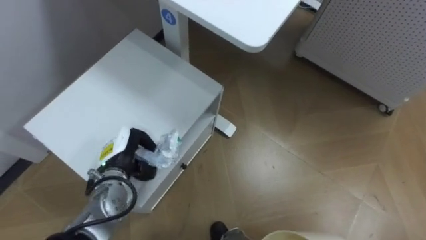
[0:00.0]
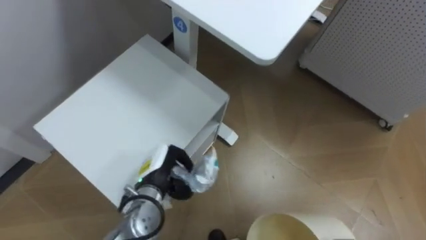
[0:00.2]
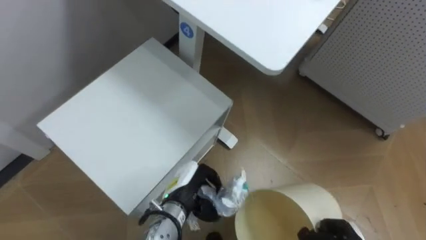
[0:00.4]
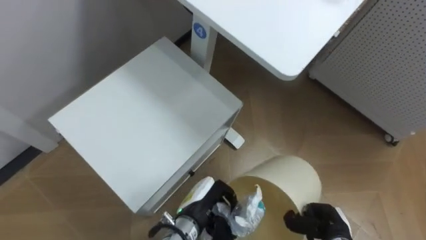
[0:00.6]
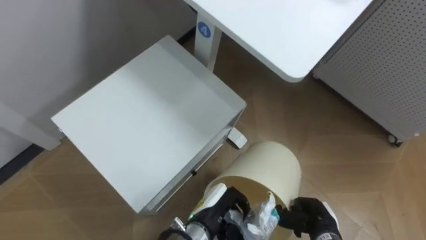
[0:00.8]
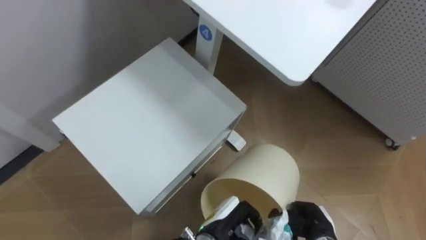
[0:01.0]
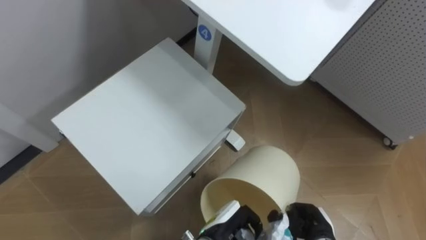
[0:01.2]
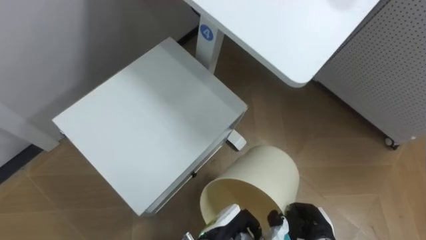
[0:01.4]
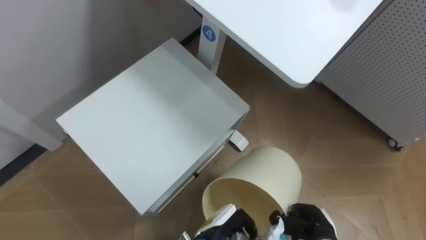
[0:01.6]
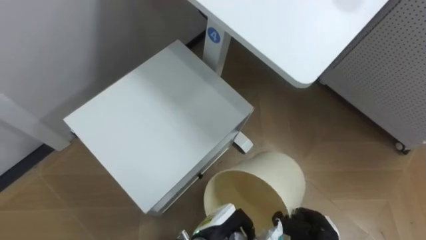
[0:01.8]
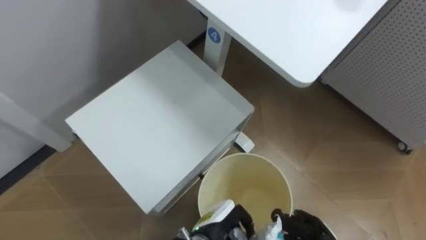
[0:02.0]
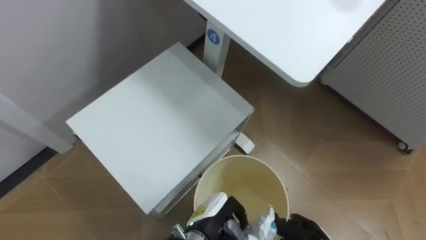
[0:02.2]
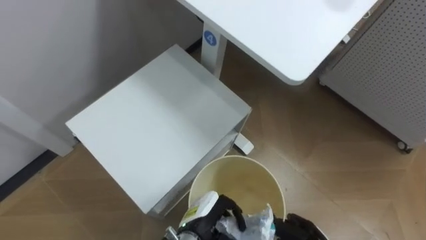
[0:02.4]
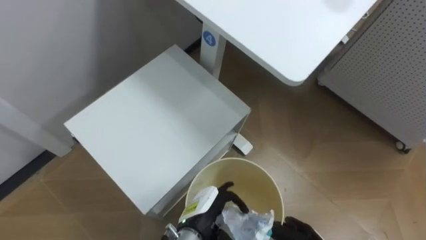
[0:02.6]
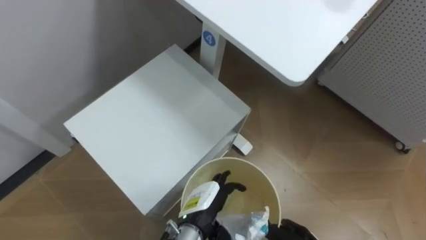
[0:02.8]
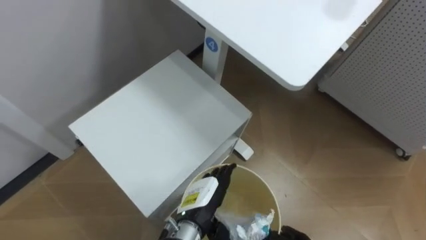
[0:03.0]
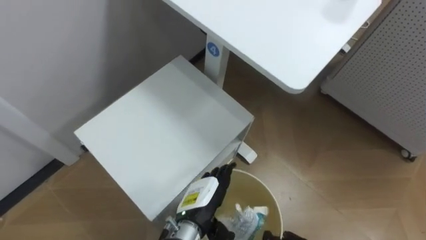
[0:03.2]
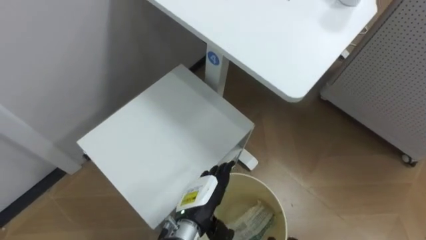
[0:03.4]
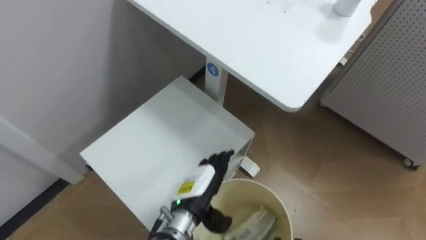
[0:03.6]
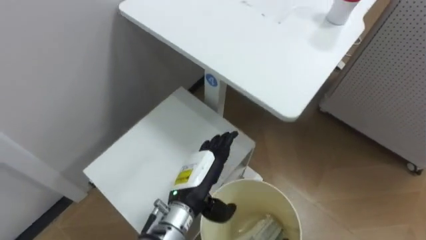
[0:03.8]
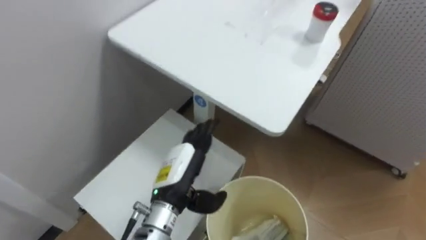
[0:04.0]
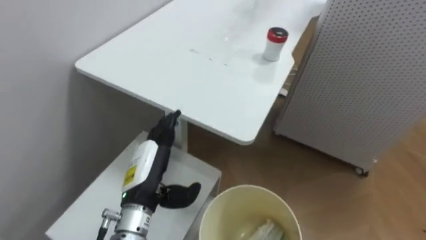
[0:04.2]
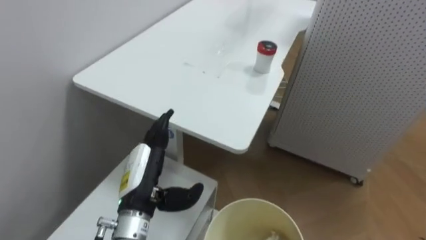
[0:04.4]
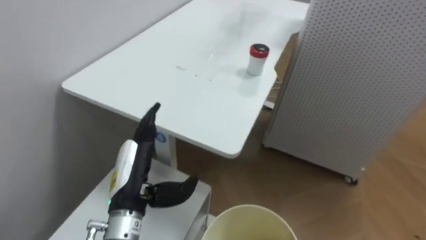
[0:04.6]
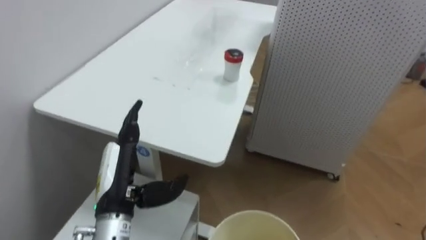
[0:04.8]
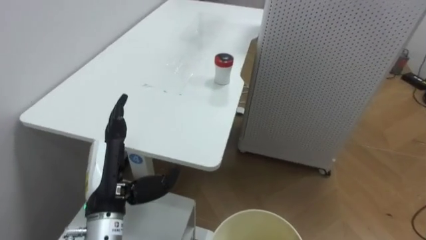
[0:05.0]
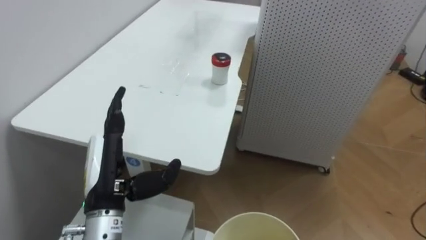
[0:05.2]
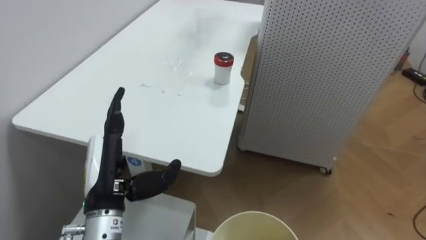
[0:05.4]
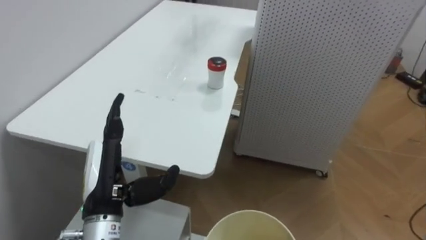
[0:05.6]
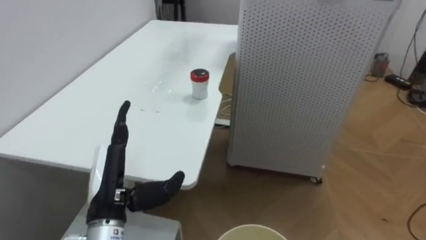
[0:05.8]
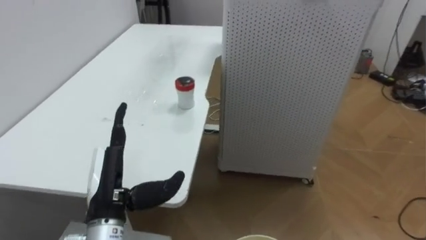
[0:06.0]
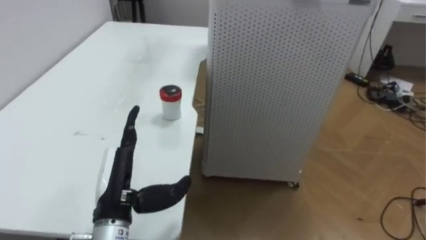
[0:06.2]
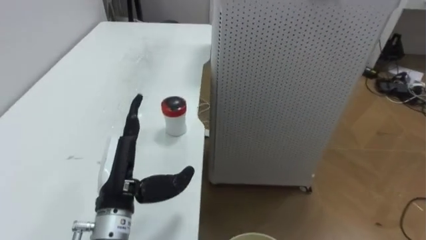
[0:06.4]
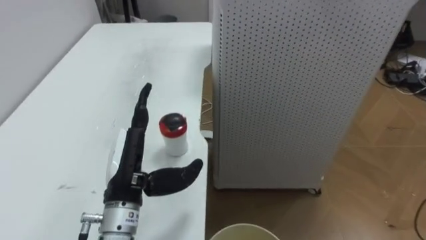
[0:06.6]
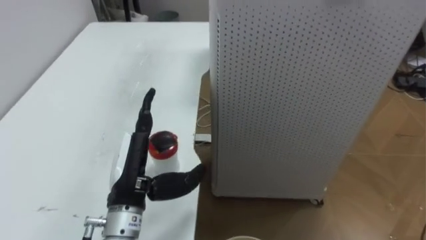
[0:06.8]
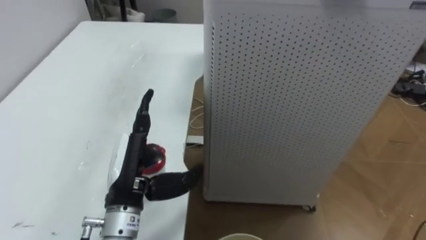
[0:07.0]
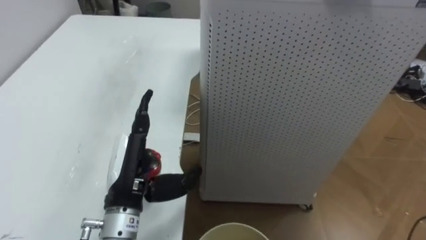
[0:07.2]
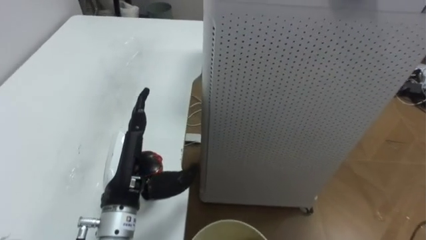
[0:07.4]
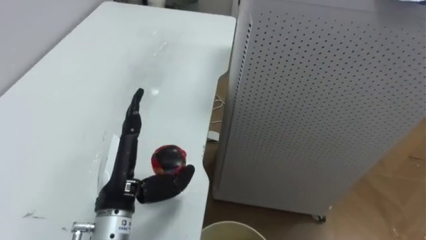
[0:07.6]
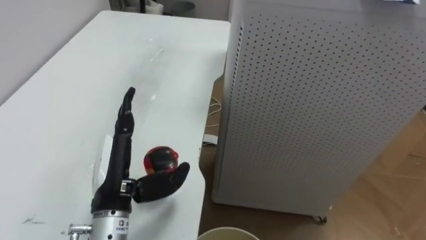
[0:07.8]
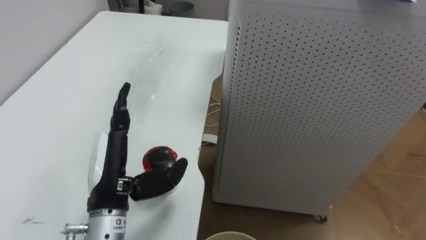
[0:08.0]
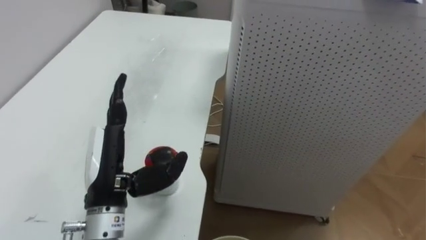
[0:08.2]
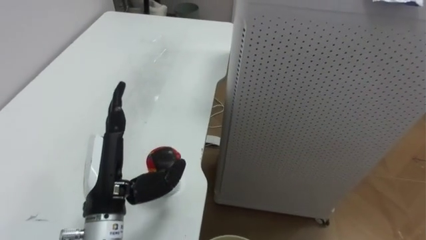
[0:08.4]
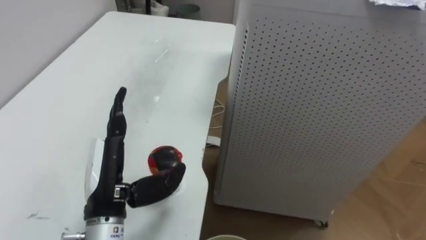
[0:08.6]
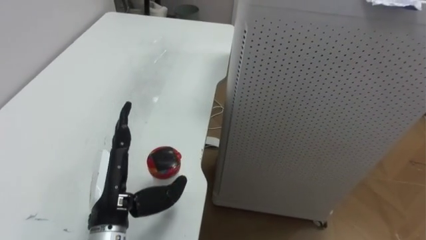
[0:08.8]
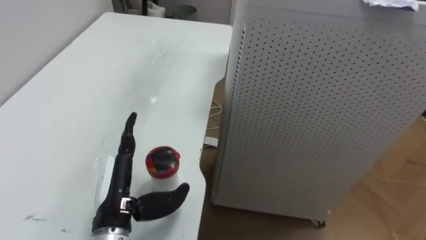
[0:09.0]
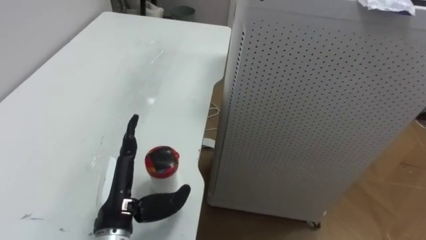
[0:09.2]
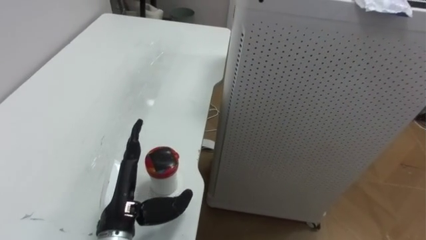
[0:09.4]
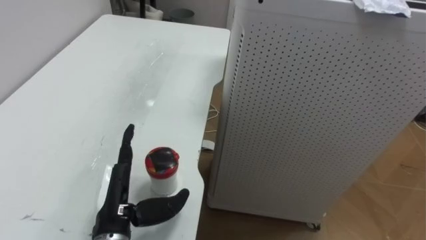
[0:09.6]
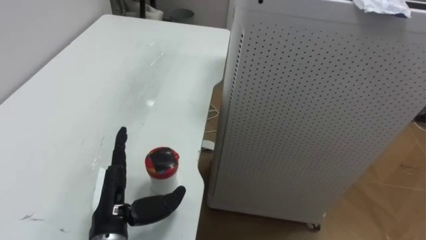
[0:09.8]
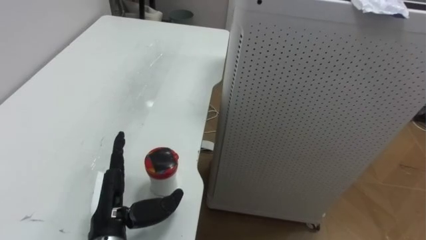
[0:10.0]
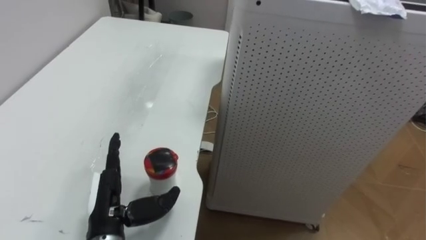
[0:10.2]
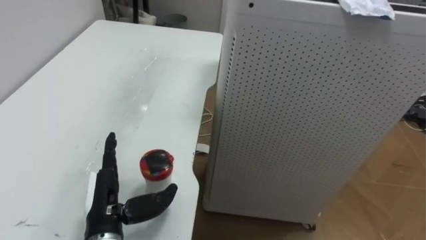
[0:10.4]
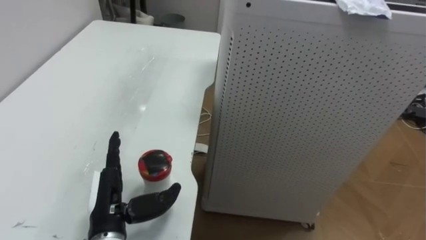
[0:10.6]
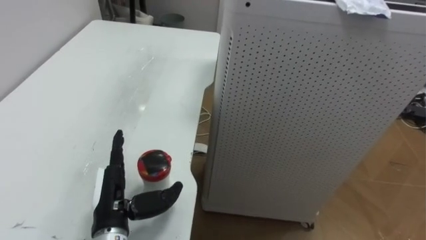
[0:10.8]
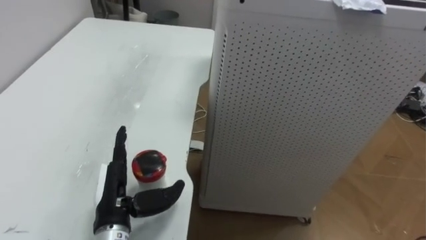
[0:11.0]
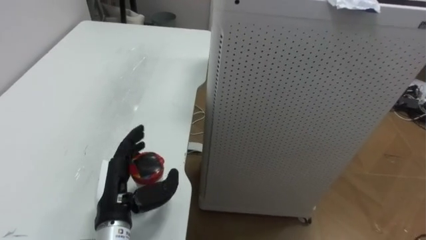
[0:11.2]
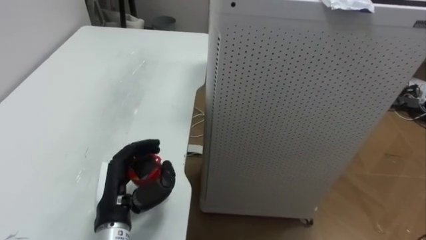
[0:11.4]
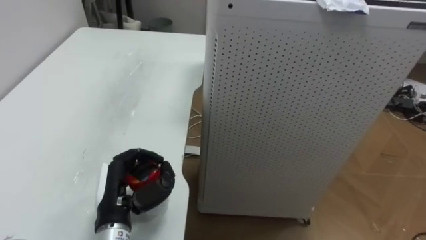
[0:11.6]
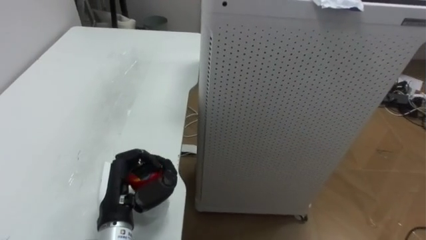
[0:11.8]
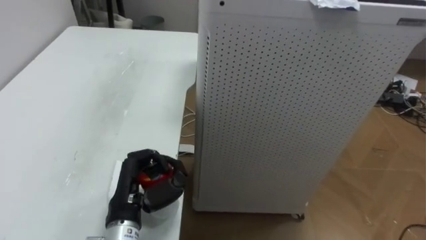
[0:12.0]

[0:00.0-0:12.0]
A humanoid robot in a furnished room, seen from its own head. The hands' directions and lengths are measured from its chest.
Task of the whole recording: Pick up the light blue package, the candy box, and the dark blue package separately, and put them into the trash can held in your right hand.
0:00.0 to 0:01.6: The left hand shifts roughly 25 cm to the right, backward and downward.
0:01.6 to 0:03.0: The left hand shifts by roughly 5 cm, and opens.
0:03.0 to 0:04.4: The robot rotates approximately 20 degrees to its right. The left hand goes about 15 cm to the left and upward.
0:04.4 to 0:06.0: The robot turns to its right by approximately 25 degrees. The left hand ends up roughly 5 cm from where it was.
0:10.4 to 0:12.0: The left hand closes.

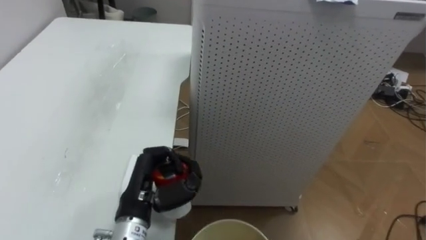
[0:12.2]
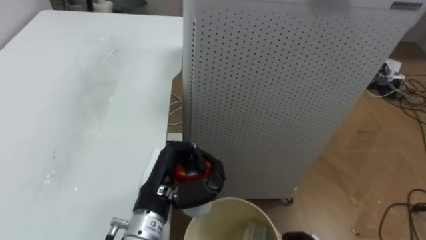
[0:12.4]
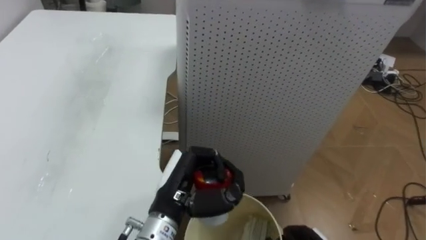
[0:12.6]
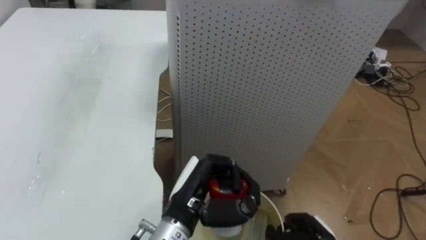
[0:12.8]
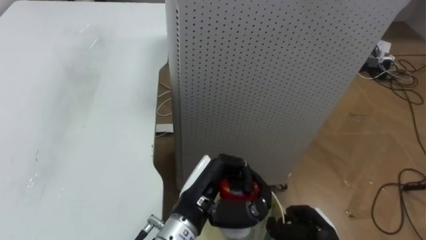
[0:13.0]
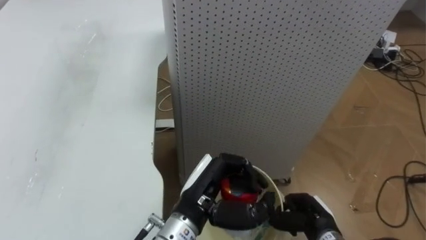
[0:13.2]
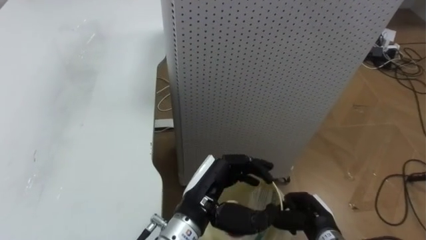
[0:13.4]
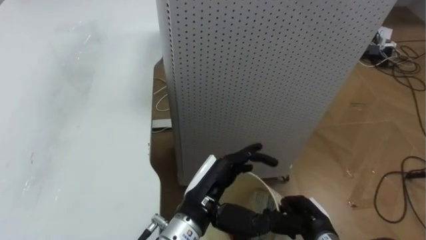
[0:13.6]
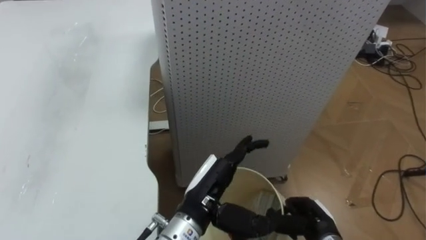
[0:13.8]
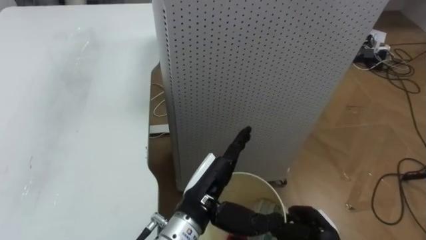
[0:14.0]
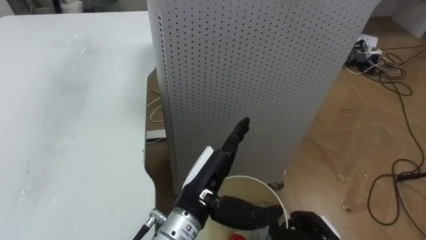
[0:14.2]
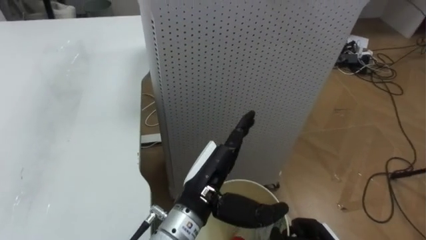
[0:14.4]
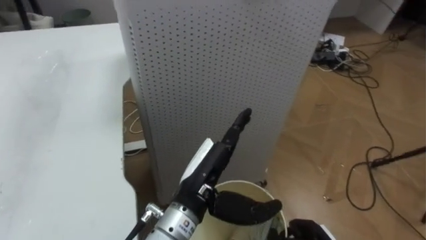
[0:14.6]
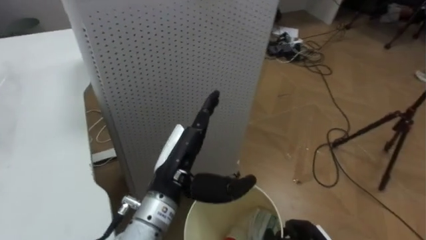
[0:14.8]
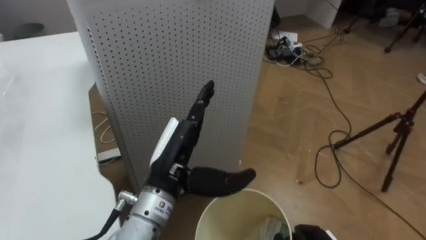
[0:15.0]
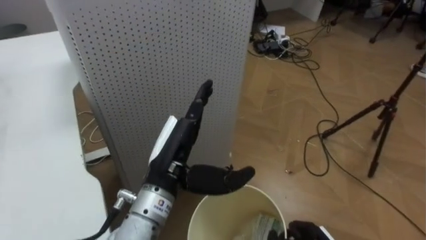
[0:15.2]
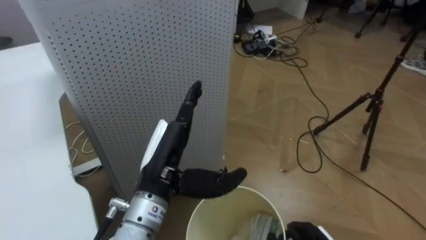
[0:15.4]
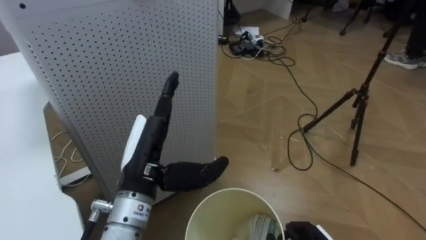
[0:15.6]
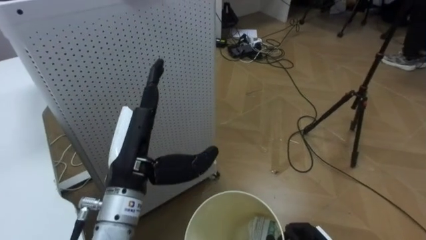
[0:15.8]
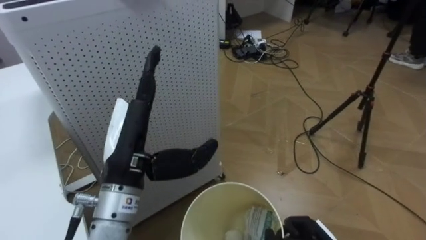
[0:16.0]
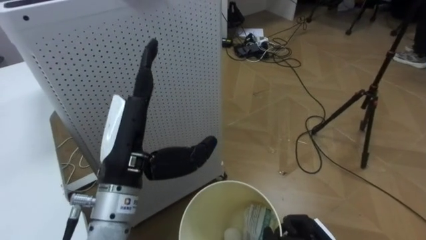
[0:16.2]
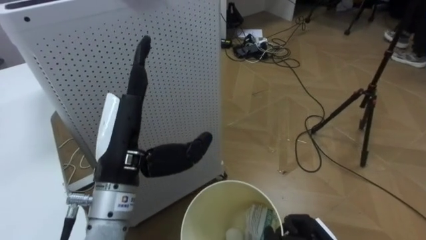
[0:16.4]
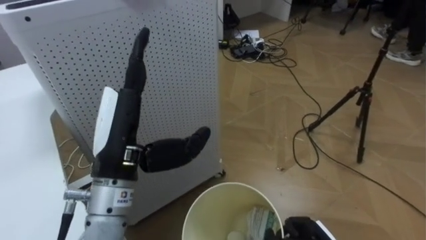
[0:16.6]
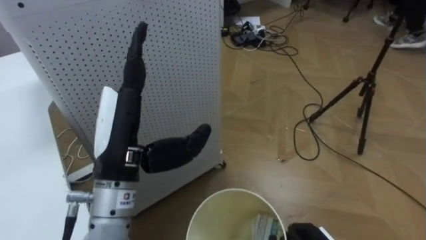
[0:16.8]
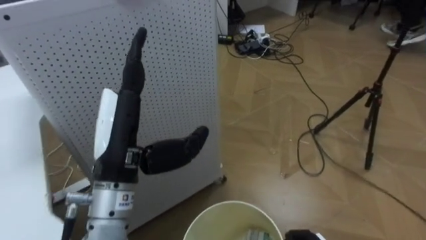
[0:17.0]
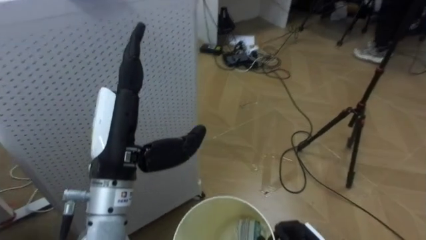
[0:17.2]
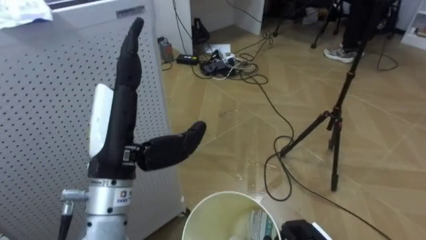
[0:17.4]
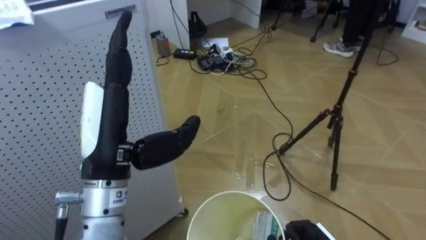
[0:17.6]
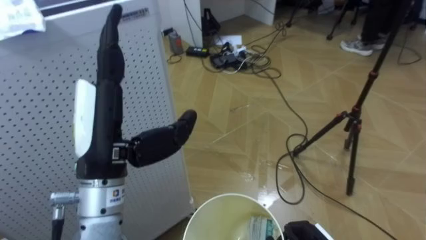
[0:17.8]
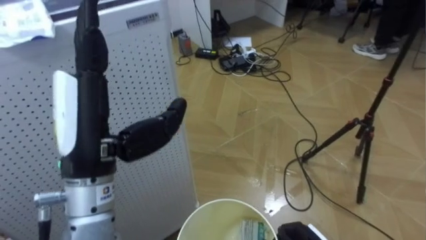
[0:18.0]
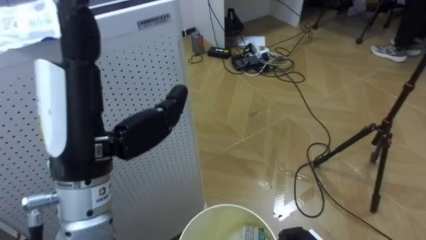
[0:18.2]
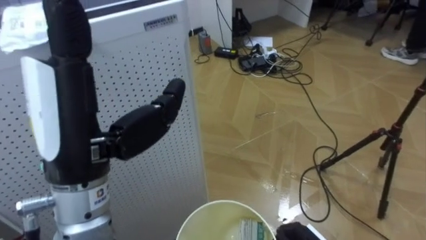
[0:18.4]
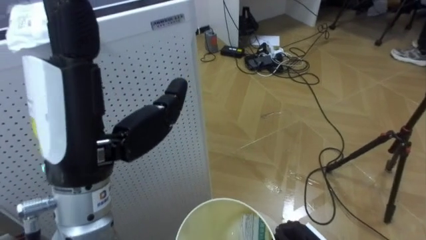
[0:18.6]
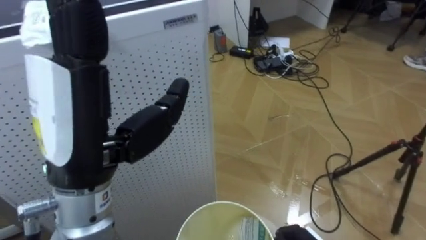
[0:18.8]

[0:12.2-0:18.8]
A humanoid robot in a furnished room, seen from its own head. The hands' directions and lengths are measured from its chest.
Task of the whole recording: Pick up the light blue package, the candy box, and the dark blue package separately, and put them into the trash can held in your right hand.
0:12.2 to 0:13.8: The left hand moves to the right, about 10 cm, and opens.
0:13.8 to 0:15.4: The robot's body swings roughly 30 degrees to its right. The left hand shifts approximately 10 cm to the left and upward.
0:15.4 to 0:17.2: The left hand moves upward and to the left, about 10 cm.
0:17.2 to 0:18.8: The left hand travels upward and backward by roughly 10 cm.
